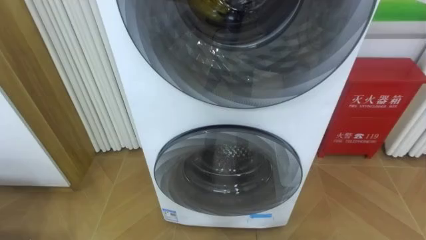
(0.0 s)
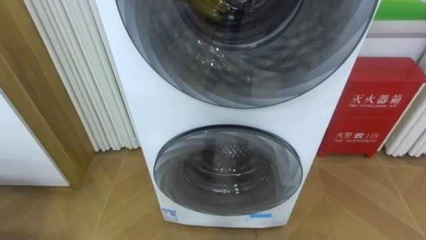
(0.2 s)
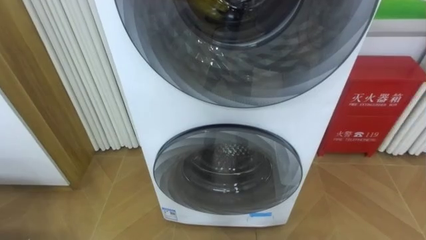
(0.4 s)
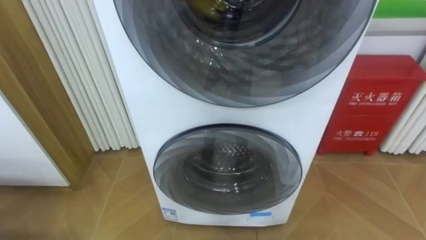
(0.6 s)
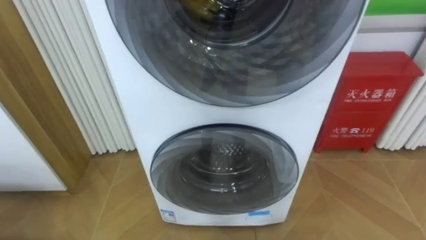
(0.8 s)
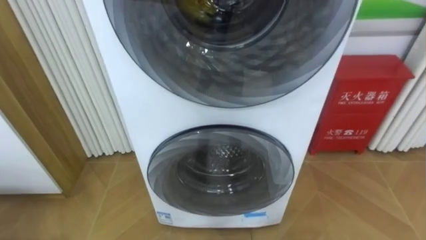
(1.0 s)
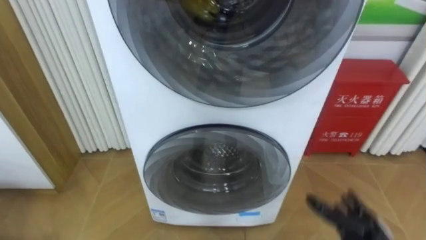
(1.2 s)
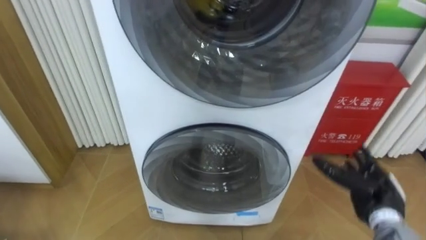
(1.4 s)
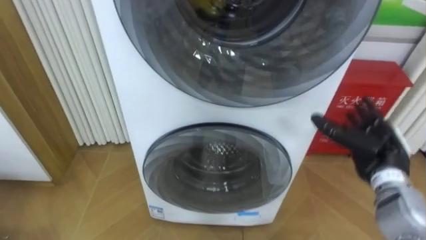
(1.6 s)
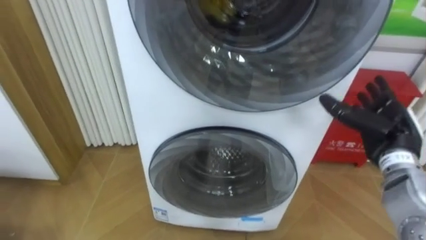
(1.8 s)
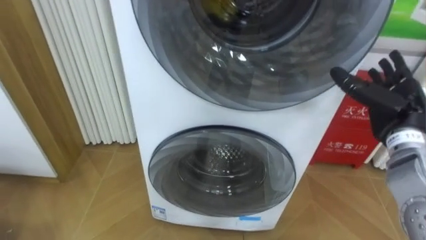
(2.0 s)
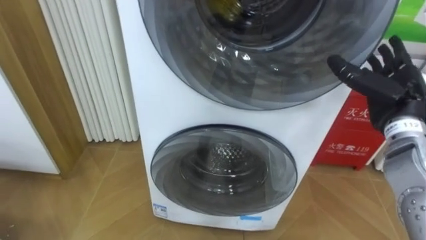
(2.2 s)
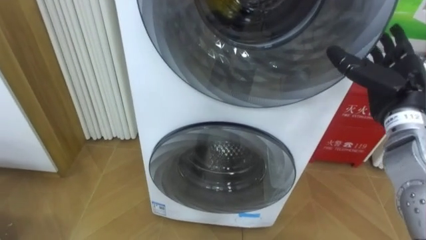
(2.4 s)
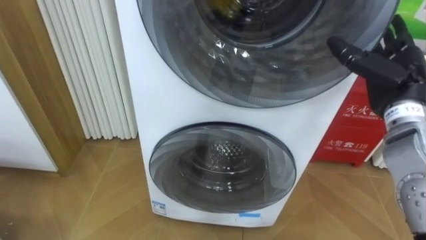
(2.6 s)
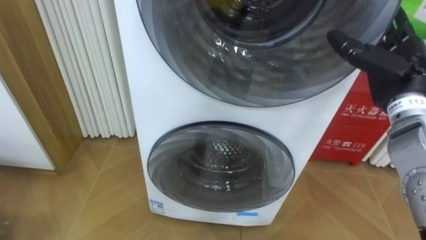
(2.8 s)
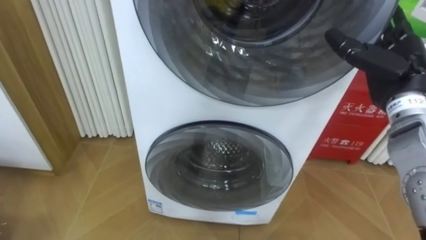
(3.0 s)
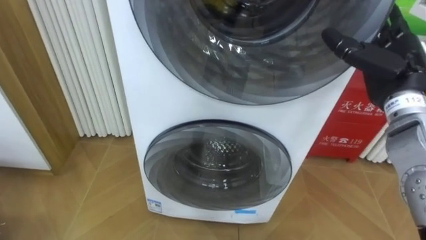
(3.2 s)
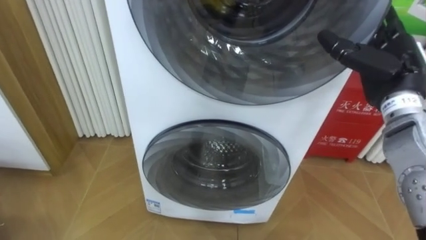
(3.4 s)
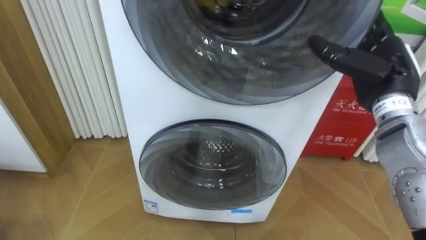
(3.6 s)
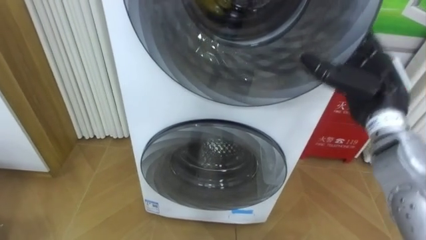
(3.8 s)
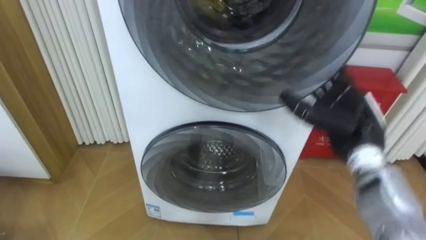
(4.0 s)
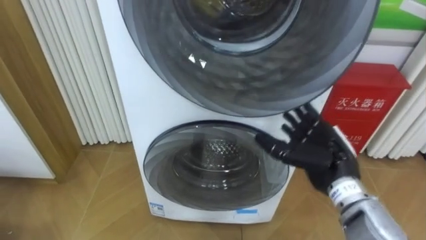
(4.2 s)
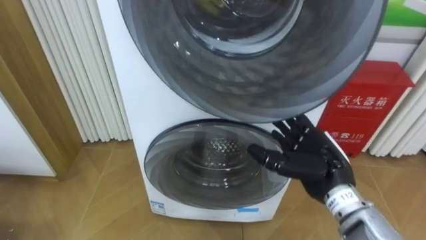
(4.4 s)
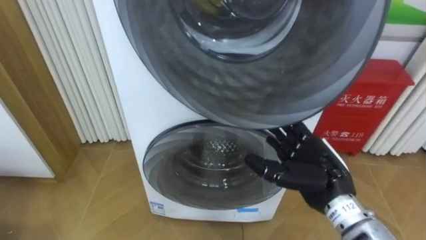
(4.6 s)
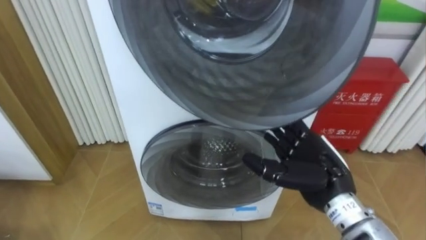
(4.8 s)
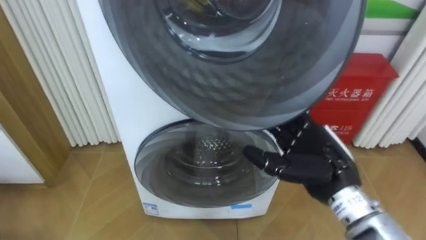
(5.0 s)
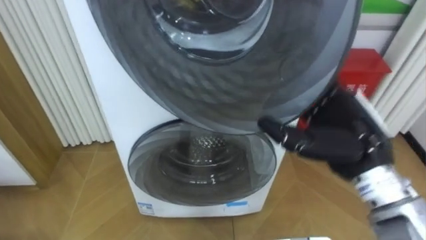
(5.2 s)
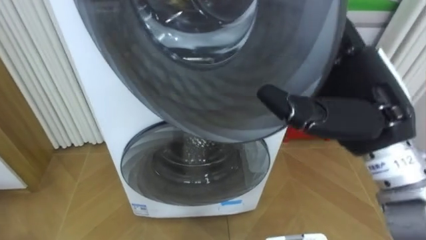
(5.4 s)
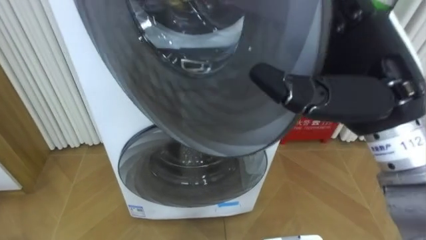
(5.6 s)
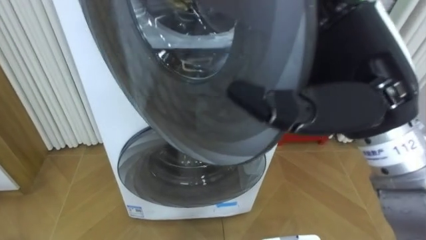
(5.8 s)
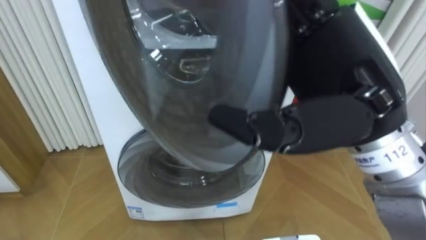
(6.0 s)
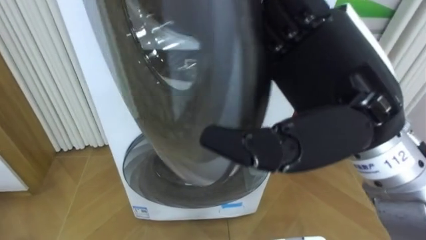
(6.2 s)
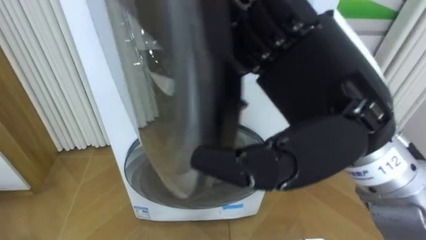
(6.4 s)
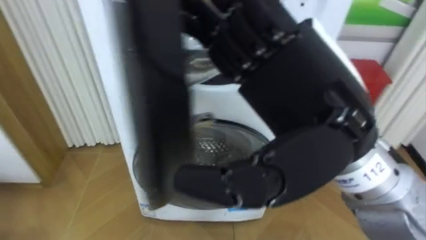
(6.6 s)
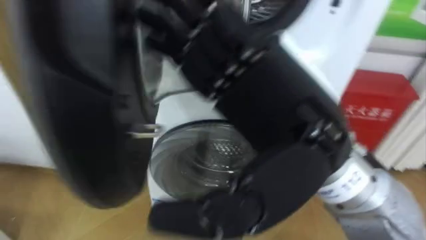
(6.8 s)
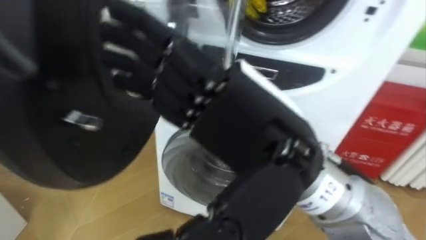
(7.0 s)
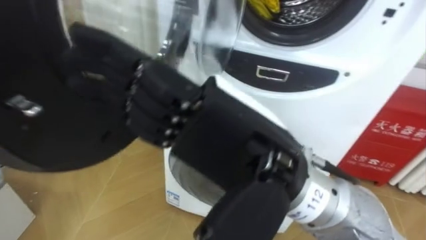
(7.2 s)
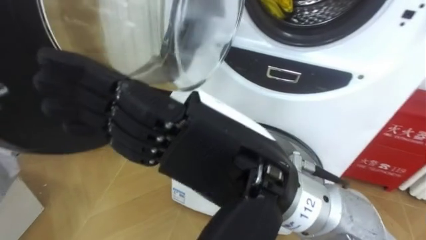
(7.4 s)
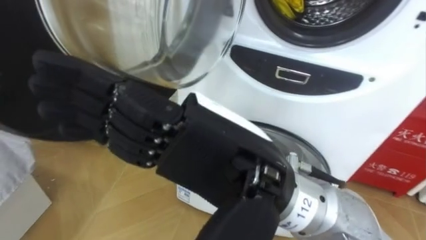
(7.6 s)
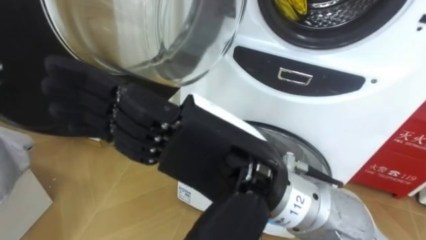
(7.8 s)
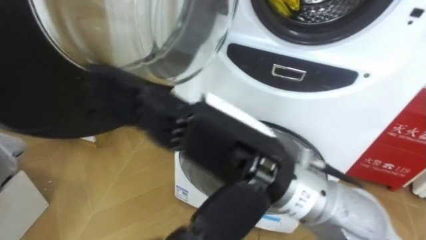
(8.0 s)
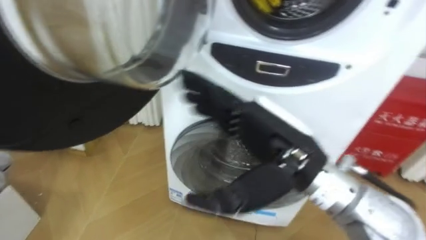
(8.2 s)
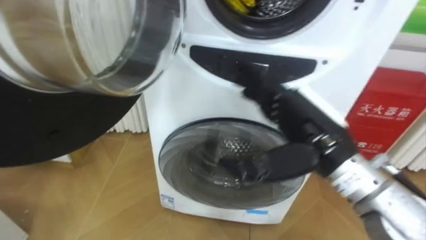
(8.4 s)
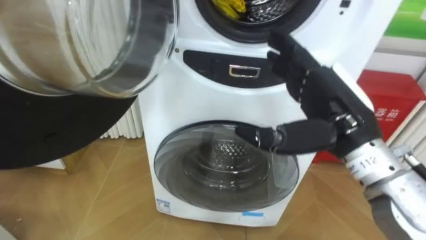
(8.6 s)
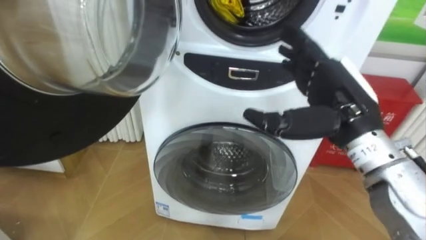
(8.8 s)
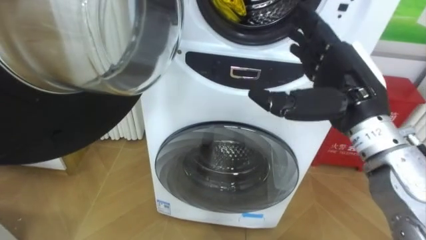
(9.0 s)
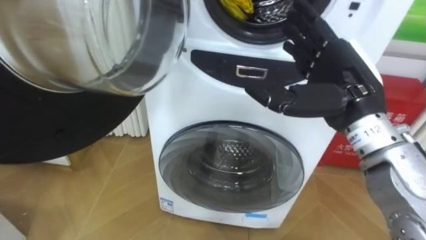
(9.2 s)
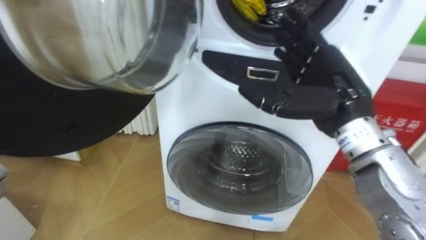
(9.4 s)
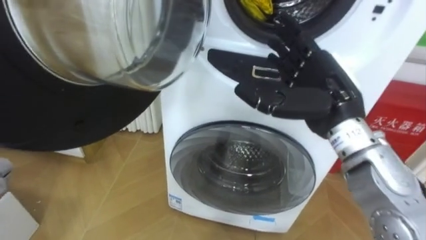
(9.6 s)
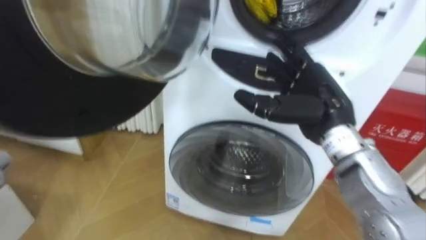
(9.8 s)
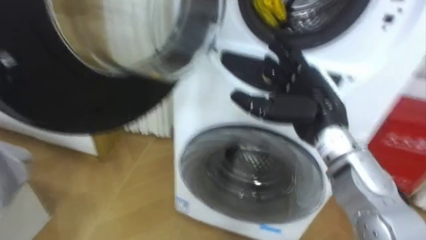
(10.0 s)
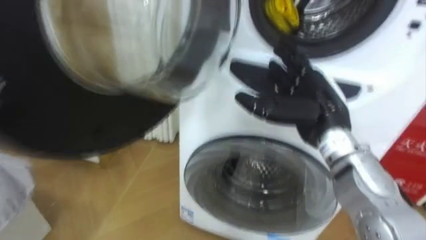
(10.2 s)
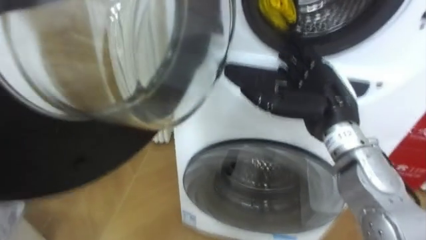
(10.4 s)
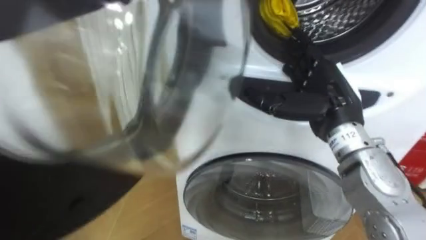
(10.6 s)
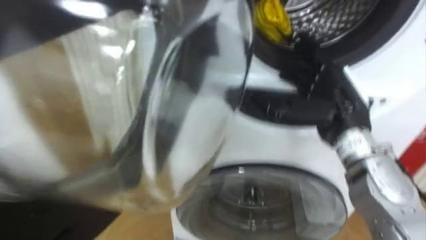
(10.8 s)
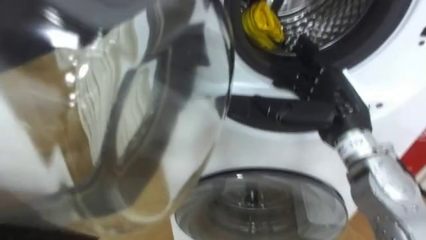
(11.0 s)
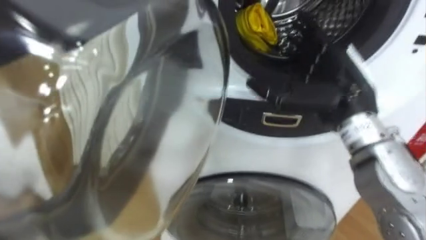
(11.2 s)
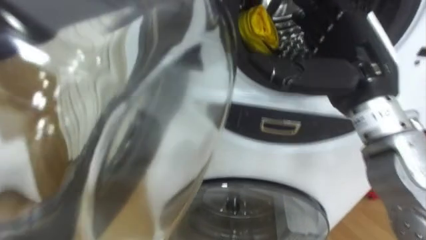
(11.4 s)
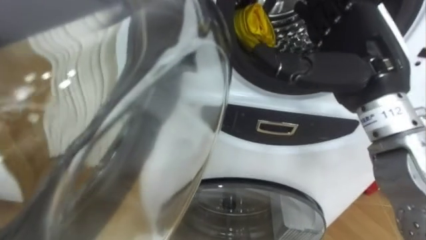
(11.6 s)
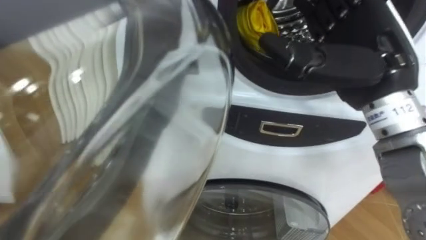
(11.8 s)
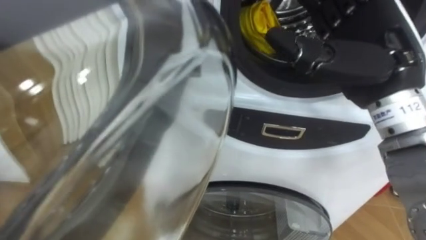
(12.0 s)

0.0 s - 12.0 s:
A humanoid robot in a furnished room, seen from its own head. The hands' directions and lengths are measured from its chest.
Task of the whole recording: Open the washing machine door, take out the yellow clothes, place them in the box on the right, and close the washing machine door.
1.6 s - 3.0 s: The right hand shifts some 15 cm upward.
3.0 s - 4.4 s: The right hand is displaced downward, to the left and backward by approximately 15 cm.
4.4 s - 6.0 s: The right hand goes some 20 cm upward.
6.0 s - 7.6 s: The right hand shifts some 10 cm to the left and backward.
7.6 s - 9.0 s: The right hand is displaced to the right and forward by approximately 20 cm.
9.0 s - 10.4 s: The right hand ends up approximately 5 cm from where it was.
10.4 s - 12.0 s: The right hand moves upward, about 10 cm.

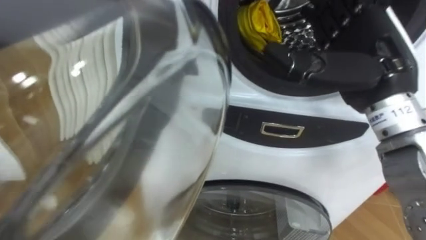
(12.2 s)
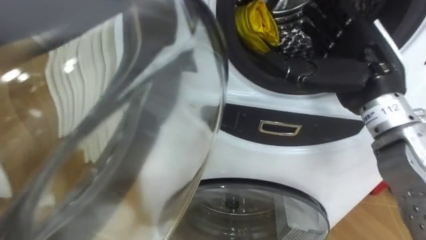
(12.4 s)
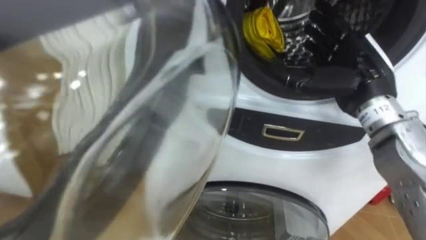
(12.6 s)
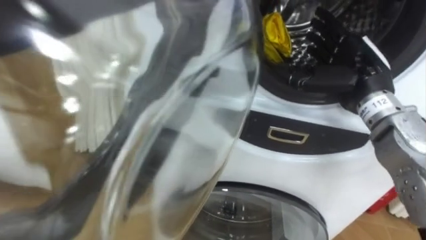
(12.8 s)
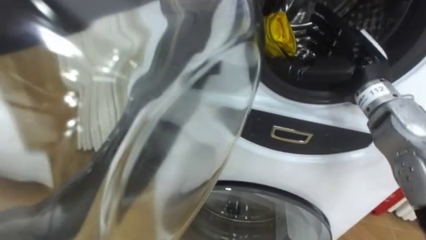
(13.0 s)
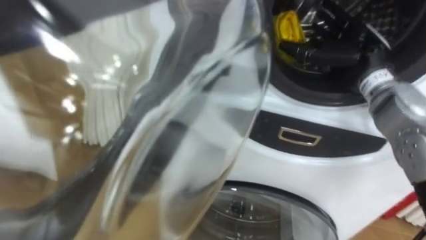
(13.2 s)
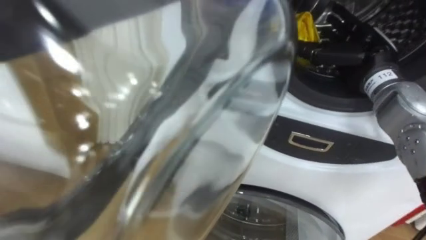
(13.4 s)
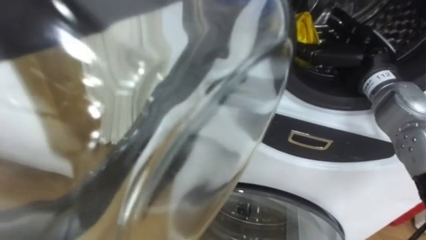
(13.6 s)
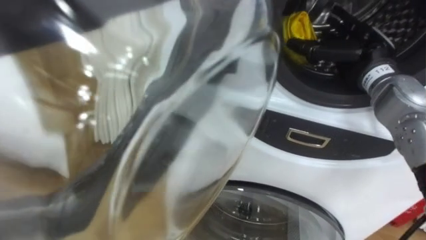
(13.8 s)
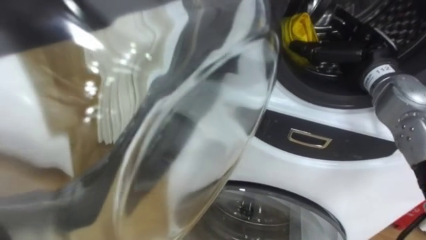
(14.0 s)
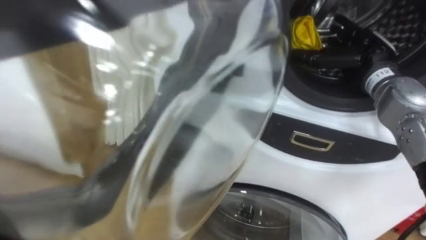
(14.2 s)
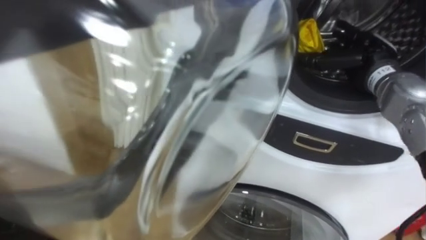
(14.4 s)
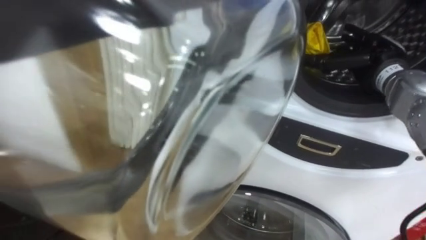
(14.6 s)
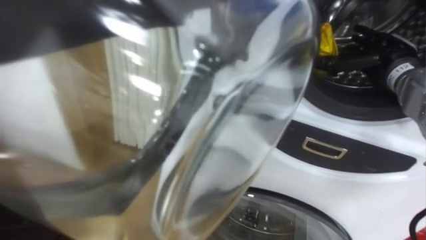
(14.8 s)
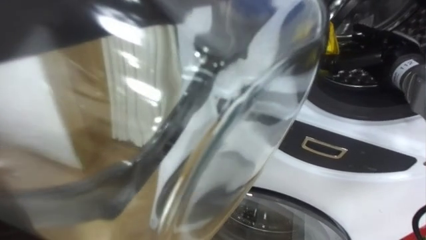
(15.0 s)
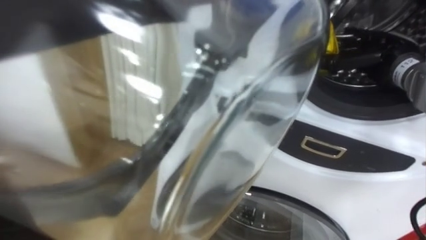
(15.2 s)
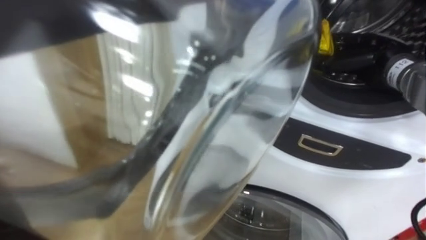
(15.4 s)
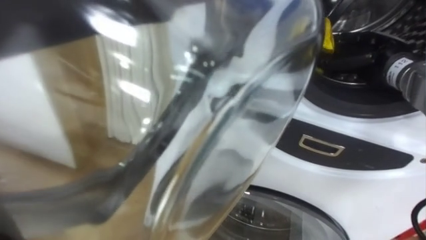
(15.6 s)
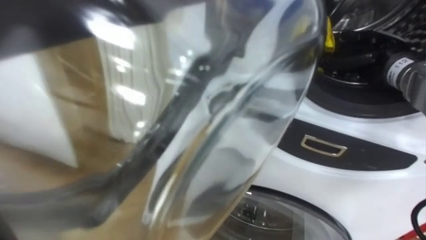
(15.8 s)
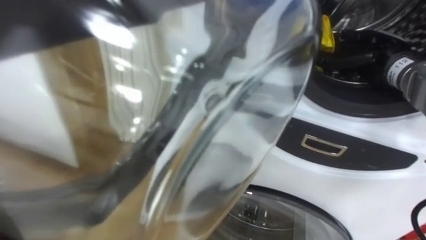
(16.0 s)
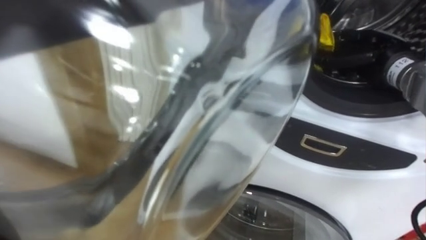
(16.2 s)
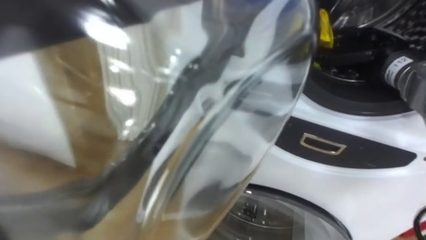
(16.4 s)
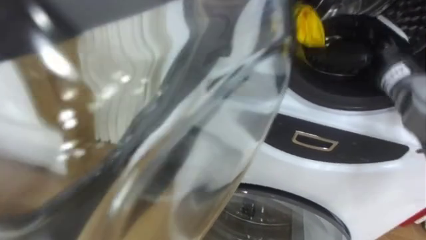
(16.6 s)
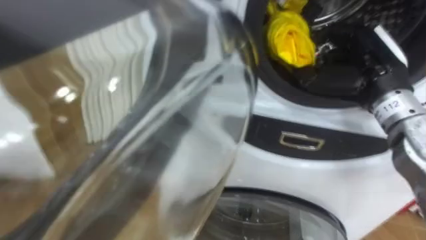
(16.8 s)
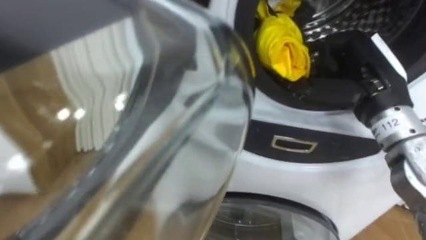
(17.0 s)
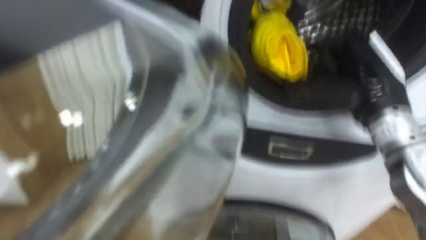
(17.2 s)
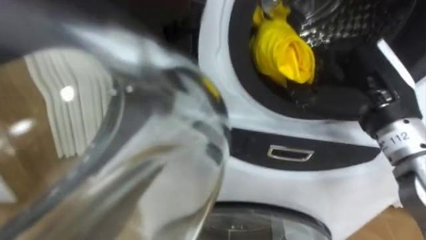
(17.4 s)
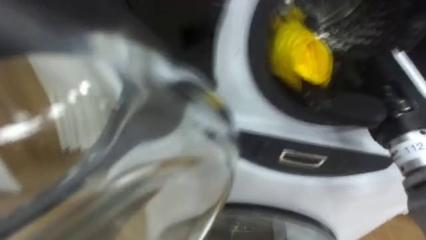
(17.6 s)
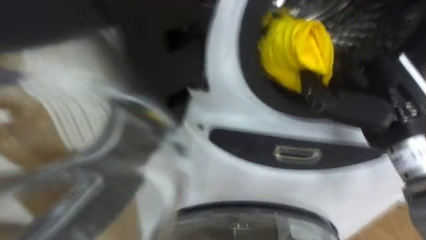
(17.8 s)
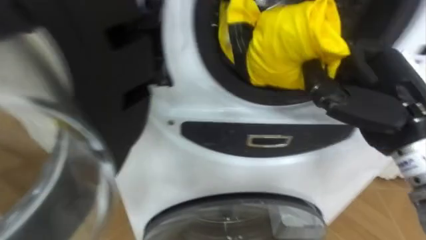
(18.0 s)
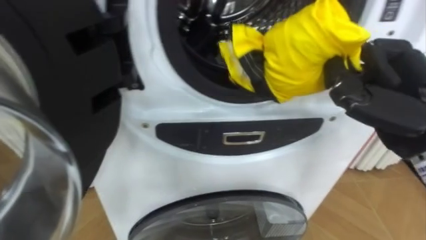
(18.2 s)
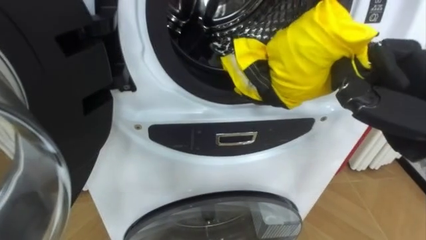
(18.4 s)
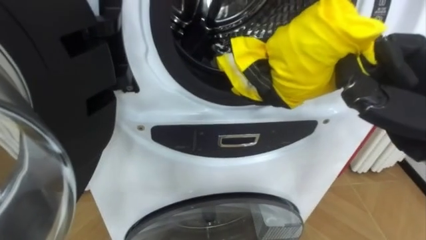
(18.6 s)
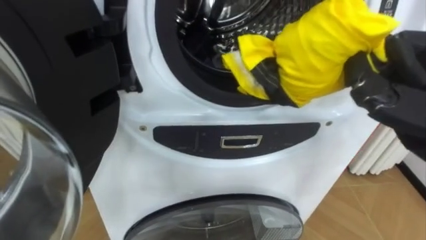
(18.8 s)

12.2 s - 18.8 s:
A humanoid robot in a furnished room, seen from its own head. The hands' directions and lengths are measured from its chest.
Task of the whole recording: Open the washing machine door, take out the yellow clothes, place them in the box on the right, and close the washing machine door.
12.2 s - 13.8 s: The right hand shifts roughly 15 cm forward, downward and to the right.
13.8 s - 15.4 s: The right hand closes up.
15.4 s - 17.2 s: The right hand goes some 15 cm backward and to the left, and closes up.
17.2 s - 18.8 s: The right hand moves backward, about 5 cm.
